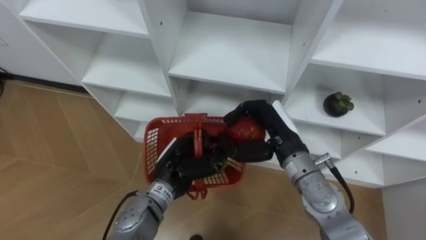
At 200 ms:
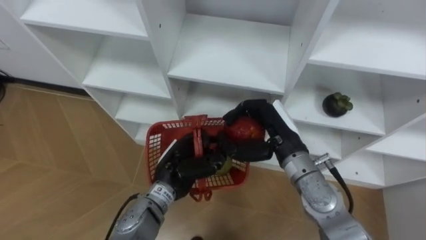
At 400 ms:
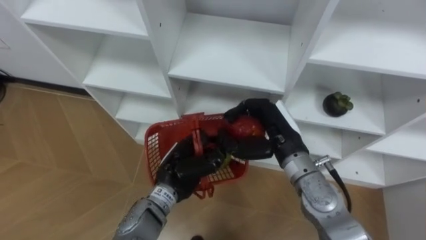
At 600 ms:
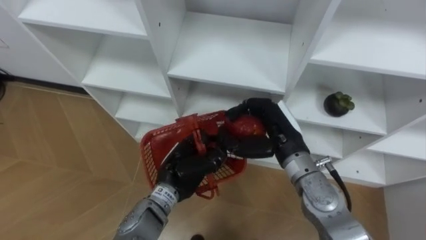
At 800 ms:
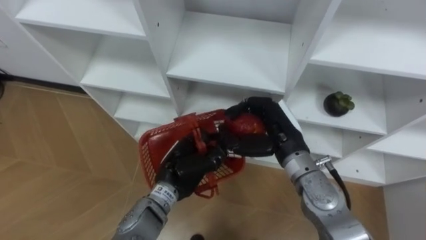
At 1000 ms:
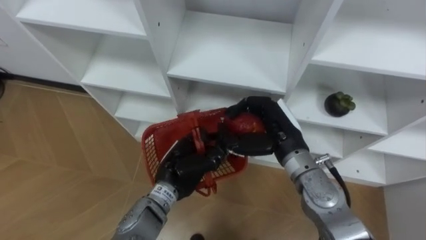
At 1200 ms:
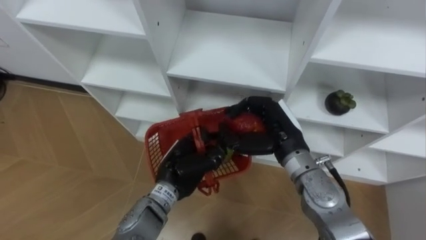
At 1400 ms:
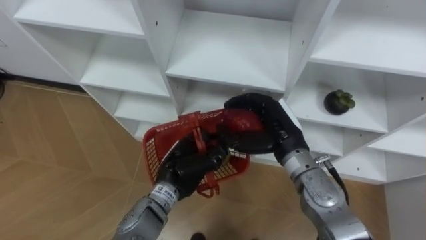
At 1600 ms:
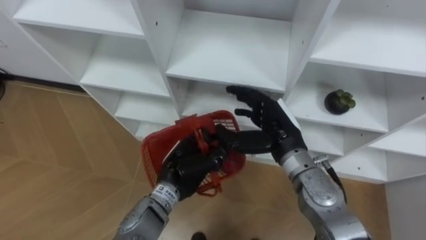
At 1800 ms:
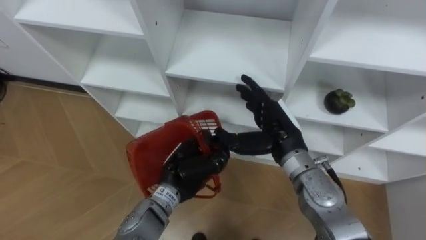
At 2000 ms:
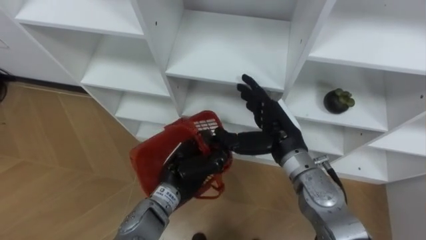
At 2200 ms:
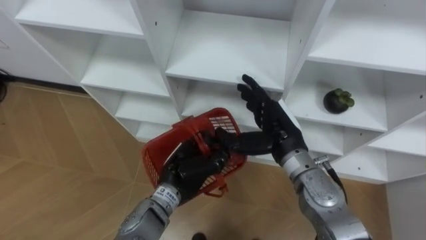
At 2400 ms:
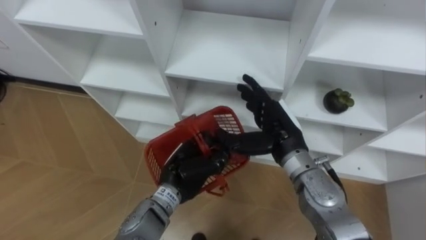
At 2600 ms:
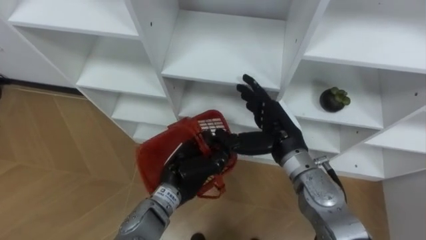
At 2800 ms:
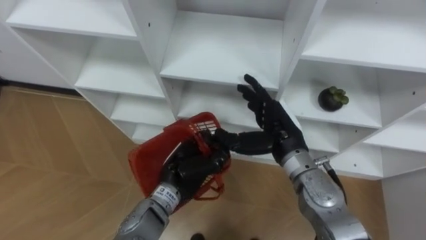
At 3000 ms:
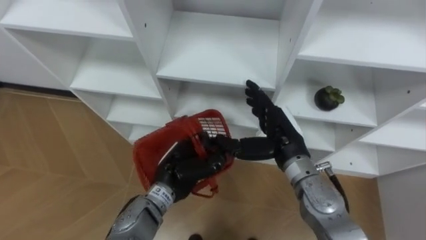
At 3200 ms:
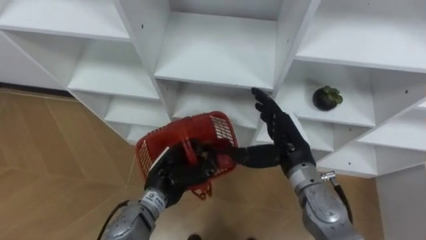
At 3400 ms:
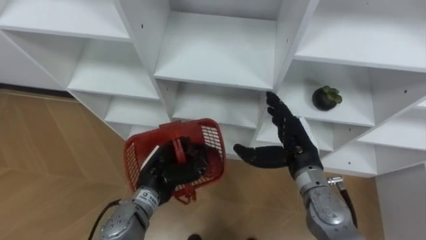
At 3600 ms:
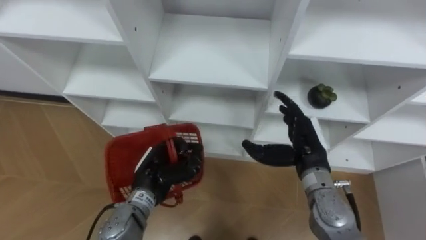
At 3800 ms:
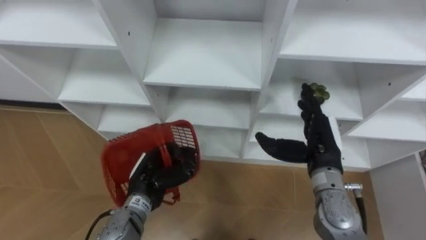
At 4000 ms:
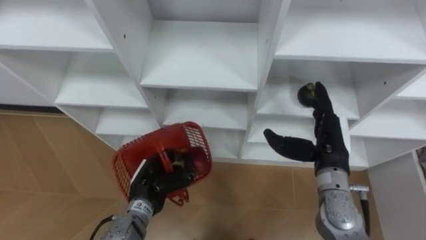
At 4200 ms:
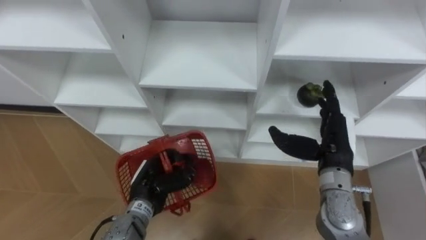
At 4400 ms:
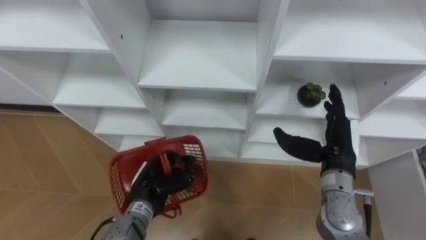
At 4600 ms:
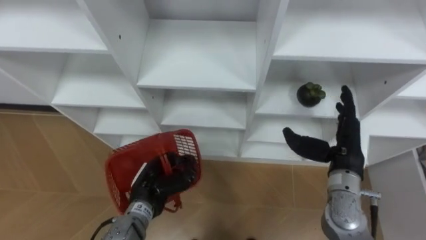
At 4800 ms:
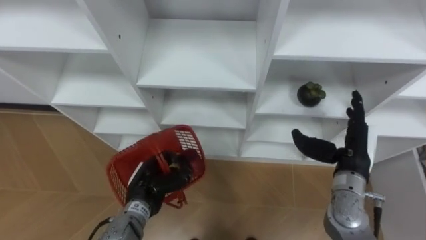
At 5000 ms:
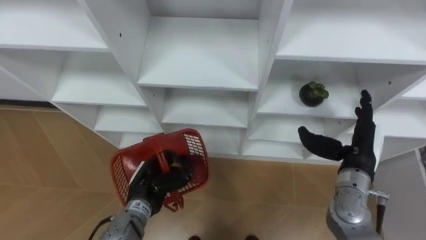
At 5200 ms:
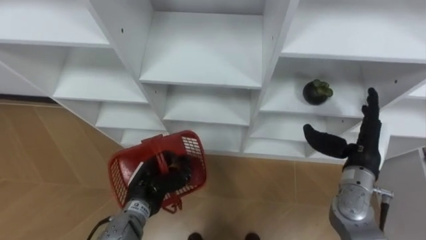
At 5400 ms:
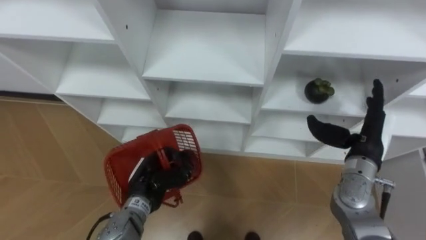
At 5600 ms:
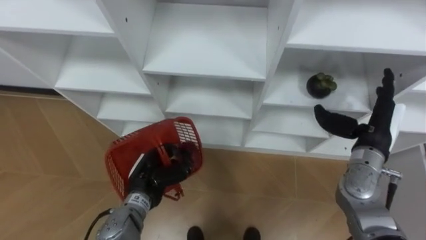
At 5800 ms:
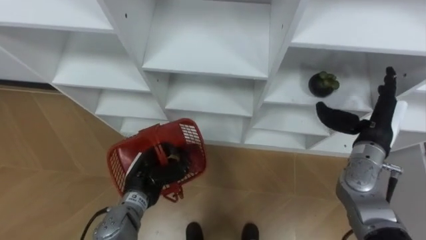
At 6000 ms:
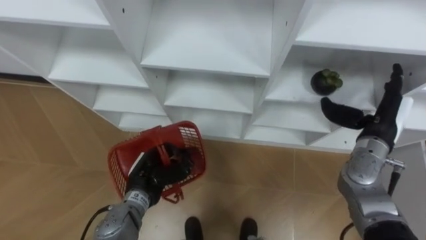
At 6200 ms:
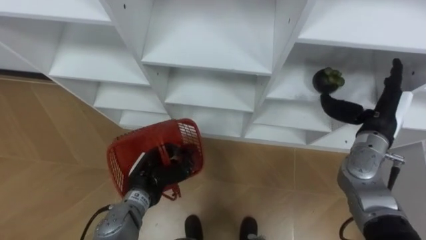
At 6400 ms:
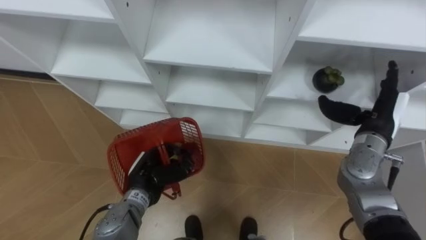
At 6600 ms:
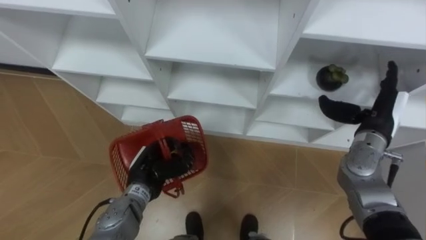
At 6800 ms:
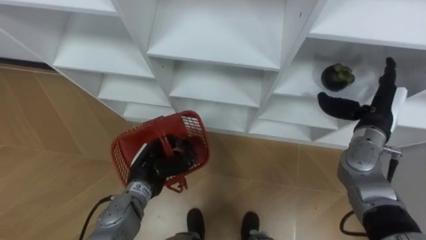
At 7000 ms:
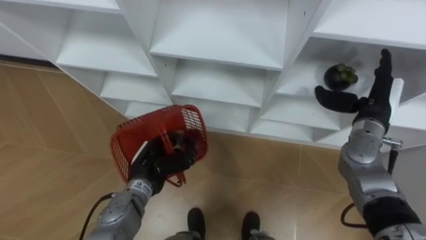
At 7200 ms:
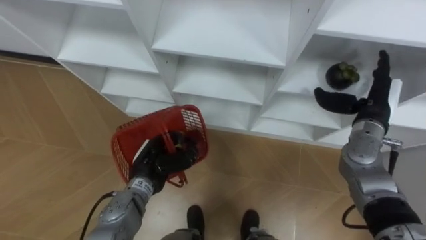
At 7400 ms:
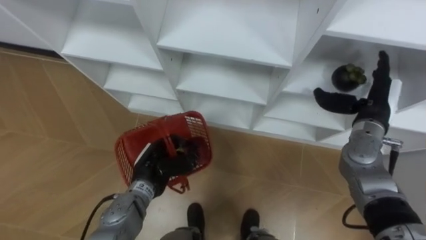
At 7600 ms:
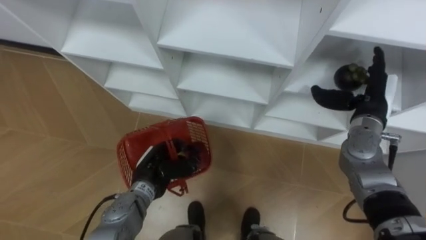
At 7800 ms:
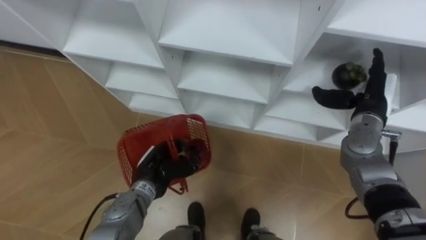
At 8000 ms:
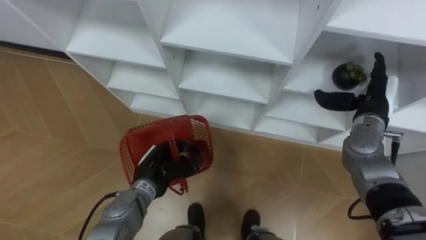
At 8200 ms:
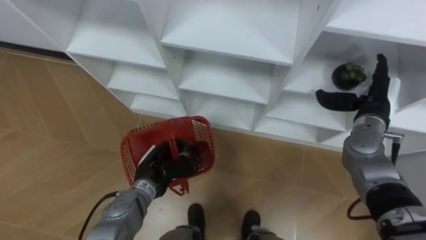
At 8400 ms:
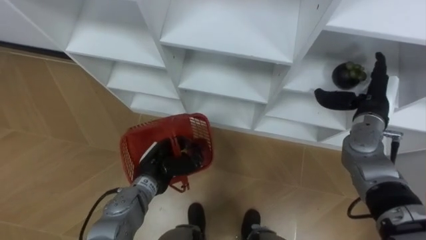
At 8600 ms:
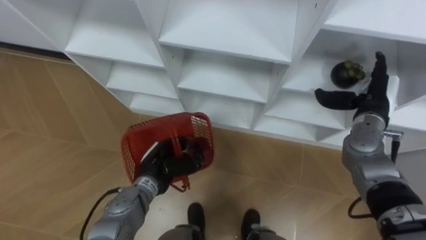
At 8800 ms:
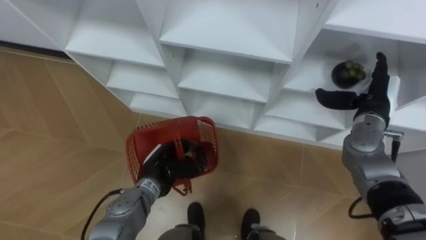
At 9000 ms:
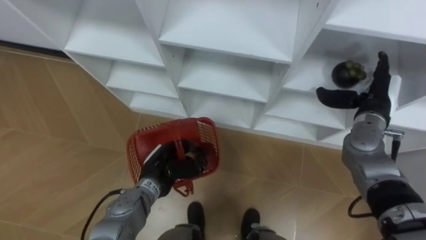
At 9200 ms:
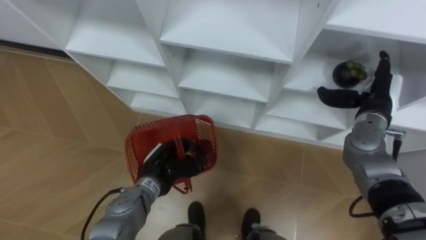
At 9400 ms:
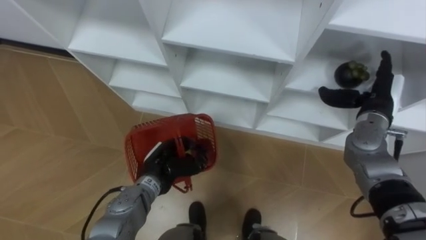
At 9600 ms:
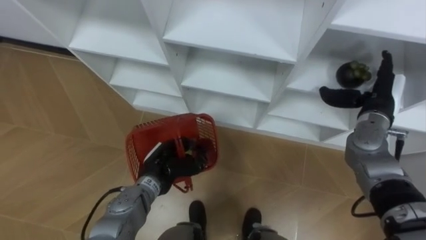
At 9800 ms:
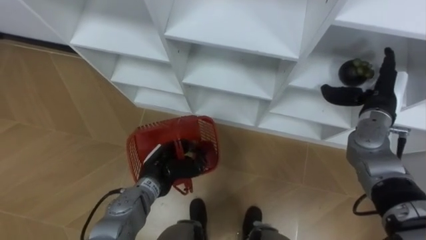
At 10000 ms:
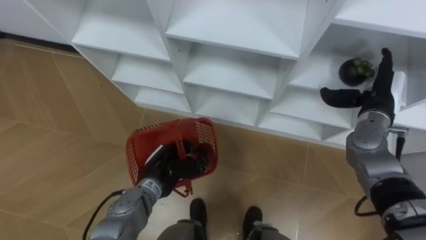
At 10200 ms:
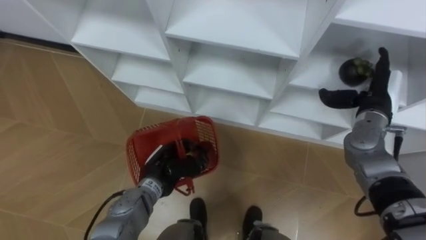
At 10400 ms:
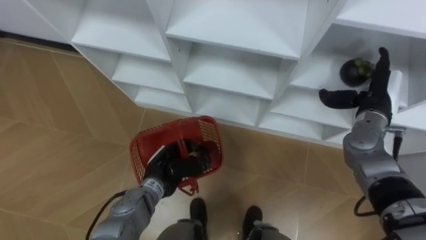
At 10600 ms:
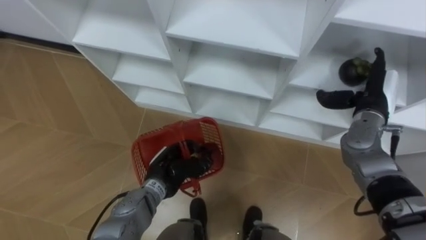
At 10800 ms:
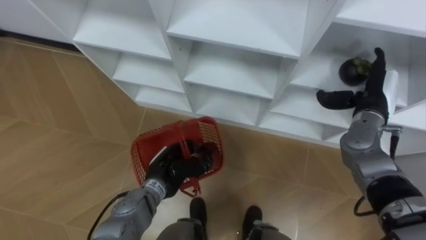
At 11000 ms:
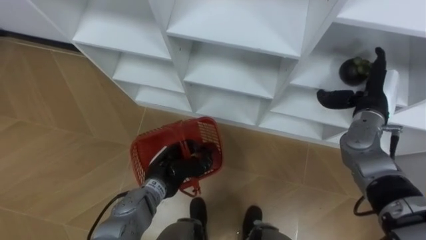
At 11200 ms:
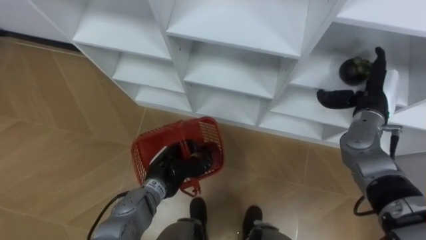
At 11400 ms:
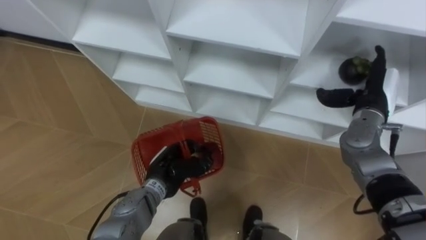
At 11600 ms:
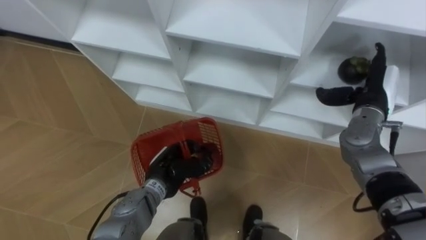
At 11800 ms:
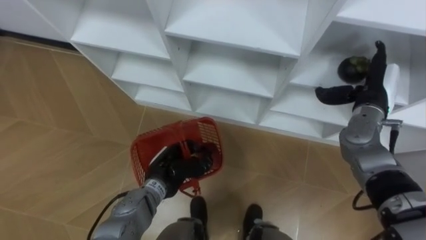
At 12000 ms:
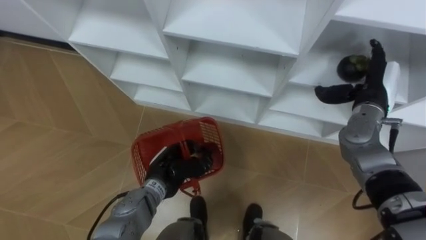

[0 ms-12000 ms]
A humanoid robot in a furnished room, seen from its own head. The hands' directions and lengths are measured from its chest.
Task of the whole recording: Hold the basket and collect the fruits from 3 different cells of the closet into it.
0 ms to 1600 ms: The right hand opens.
3000 ms to 4400 ms: The left hand moves to the left, approximately 5 cm. The right hand heads to the right, covering some 10 cm.
4400 ms to 6000 ms: The right hand is displaced to the right by about 10 cm.
9000 ms to 12000 ms: The hands stay close to where they were, moving slightly.

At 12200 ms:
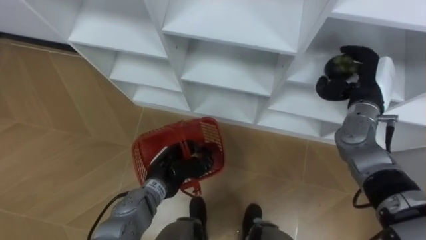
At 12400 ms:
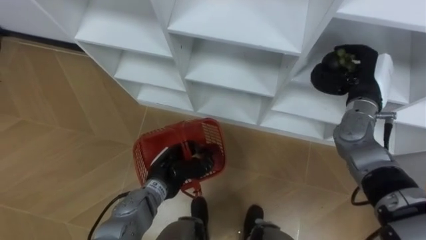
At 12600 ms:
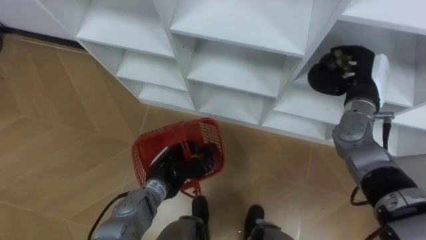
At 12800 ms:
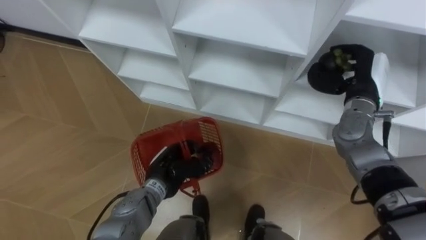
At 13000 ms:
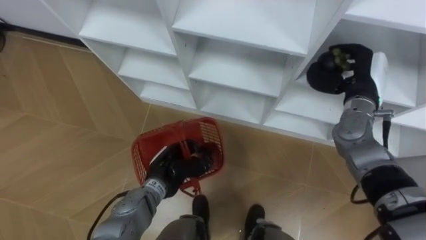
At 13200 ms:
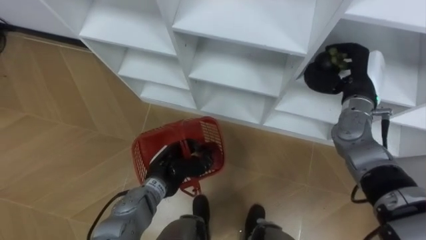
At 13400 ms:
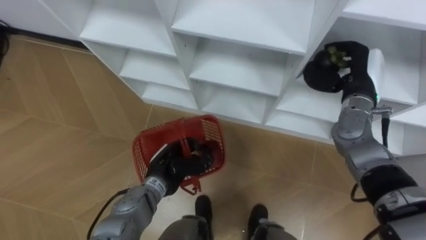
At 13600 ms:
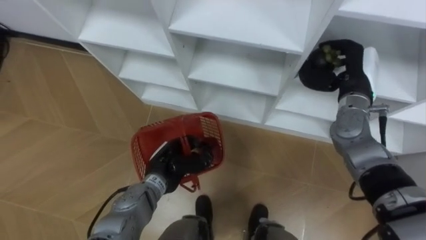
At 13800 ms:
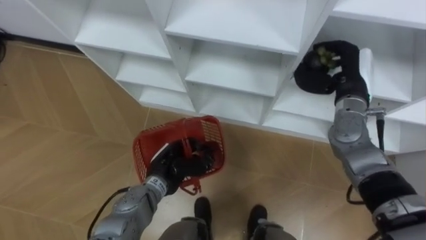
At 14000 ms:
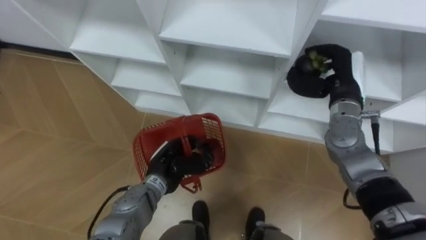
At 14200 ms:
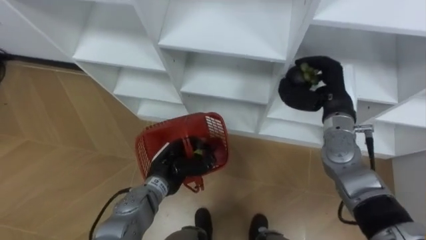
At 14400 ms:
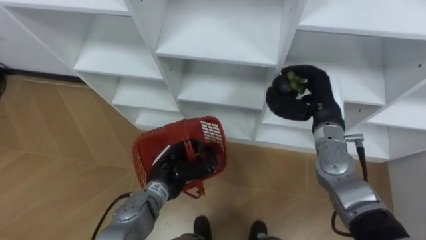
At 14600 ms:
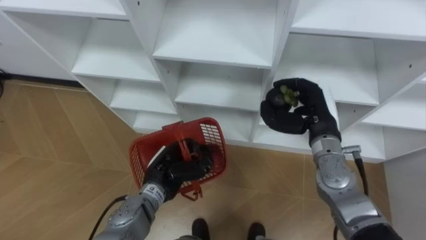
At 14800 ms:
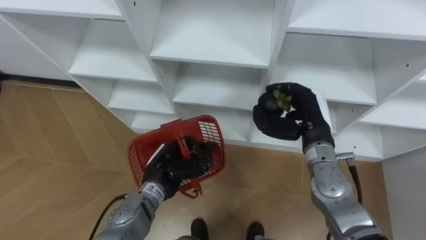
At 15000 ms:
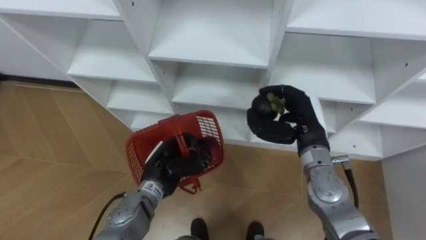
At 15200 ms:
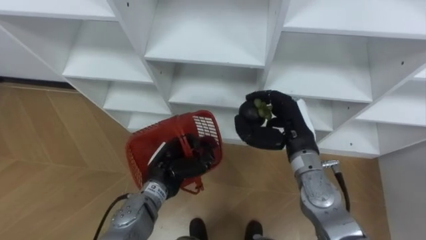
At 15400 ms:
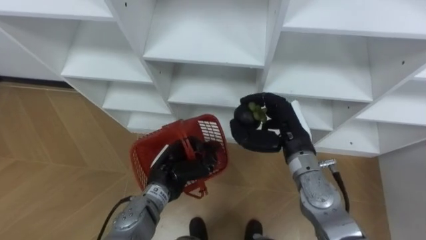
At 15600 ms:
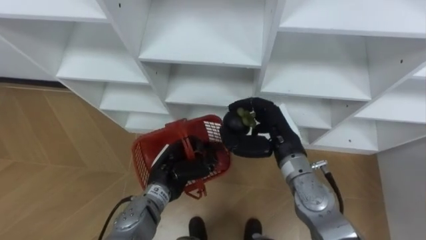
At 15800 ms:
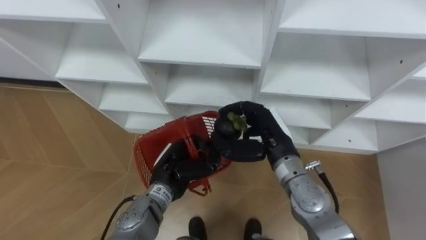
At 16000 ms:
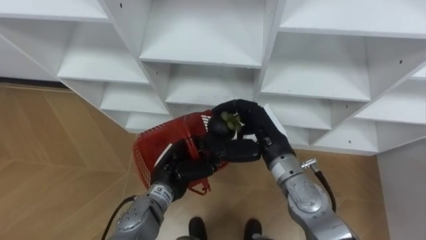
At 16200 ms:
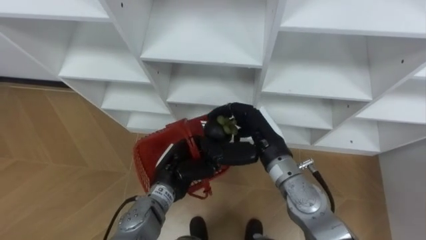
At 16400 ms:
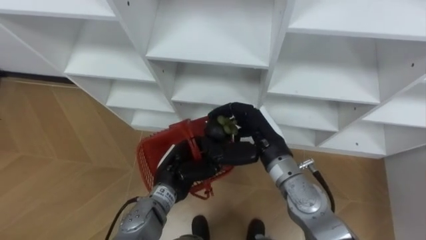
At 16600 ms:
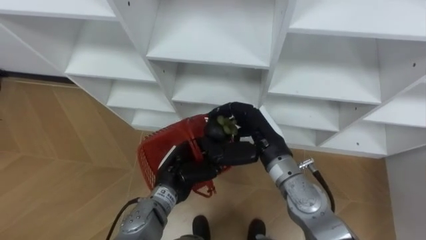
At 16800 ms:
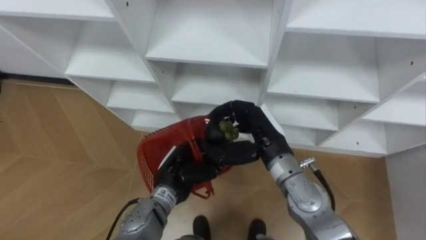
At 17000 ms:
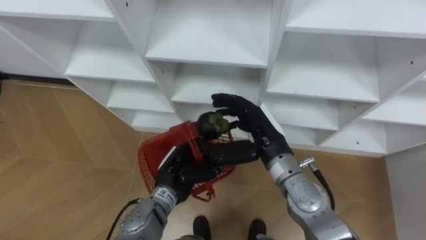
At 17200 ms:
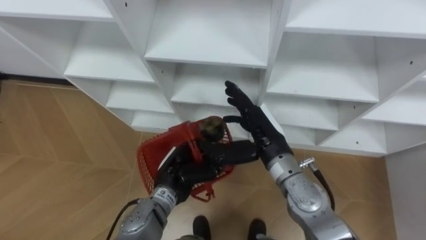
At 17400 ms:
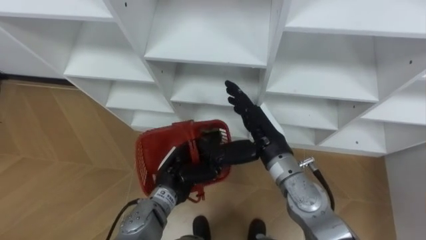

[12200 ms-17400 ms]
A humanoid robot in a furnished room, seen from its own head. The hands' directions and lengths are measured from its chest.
Task of the whole recording: Hold the basket and collect the fruits from 3 different cells of the closet into it.
14000 ms to 15600 ms: The right hand moves to the left and backward, approximately 15 cm.
15600 ms to 17400 ms: The right hand opens up.
